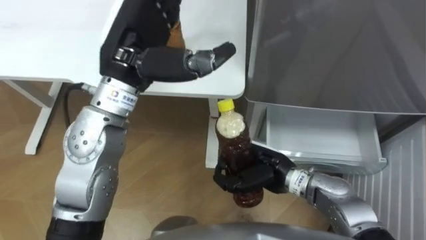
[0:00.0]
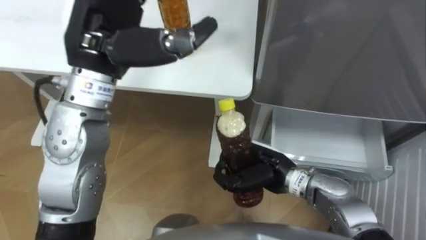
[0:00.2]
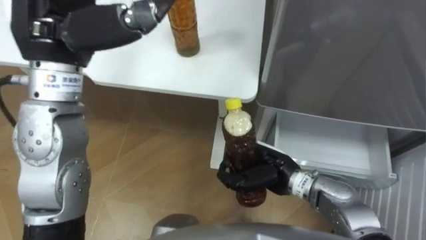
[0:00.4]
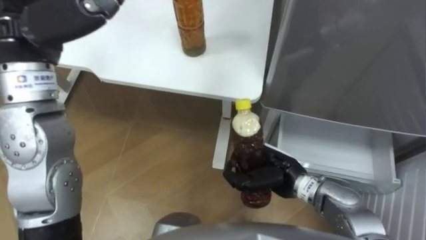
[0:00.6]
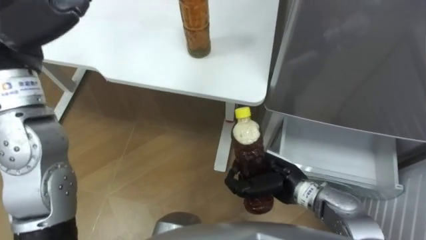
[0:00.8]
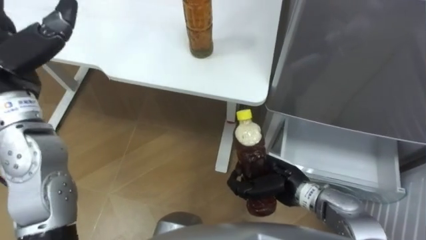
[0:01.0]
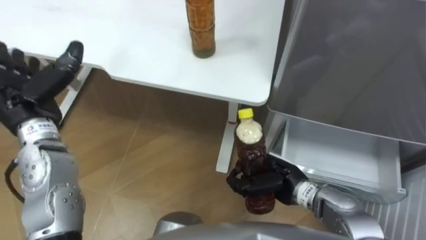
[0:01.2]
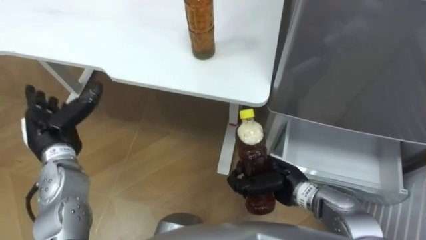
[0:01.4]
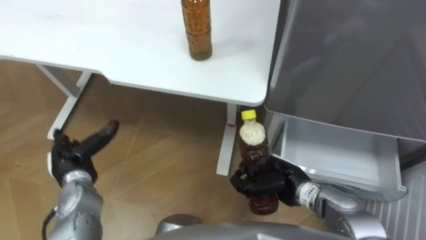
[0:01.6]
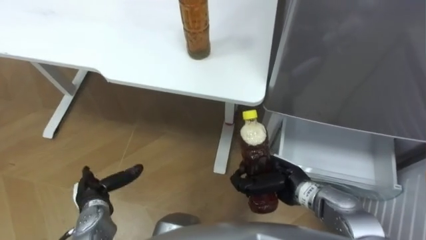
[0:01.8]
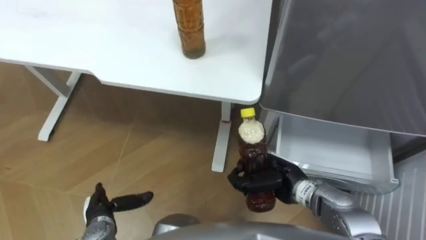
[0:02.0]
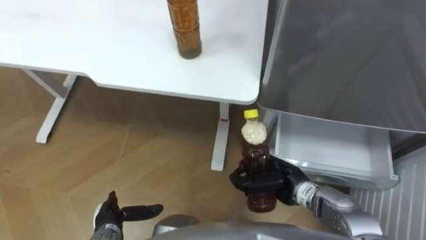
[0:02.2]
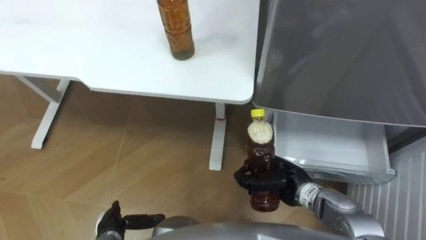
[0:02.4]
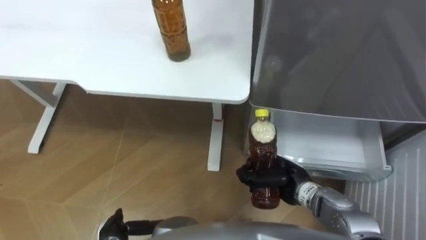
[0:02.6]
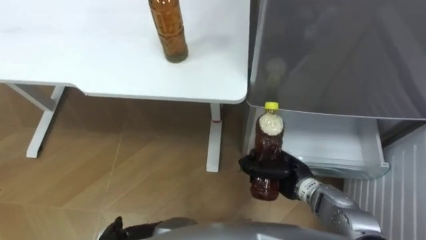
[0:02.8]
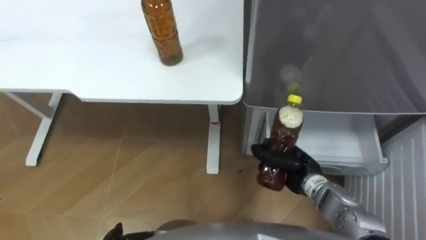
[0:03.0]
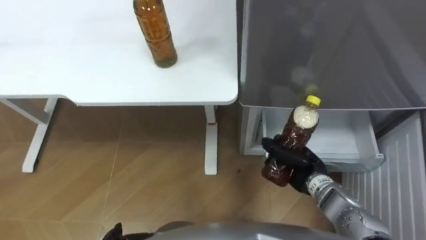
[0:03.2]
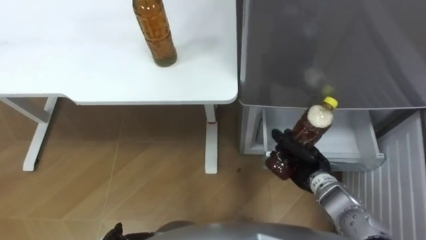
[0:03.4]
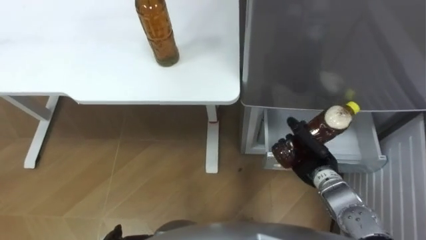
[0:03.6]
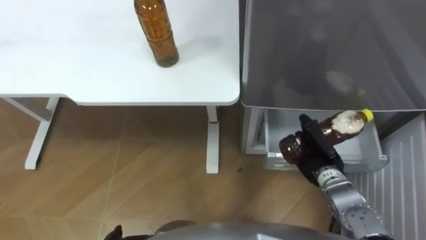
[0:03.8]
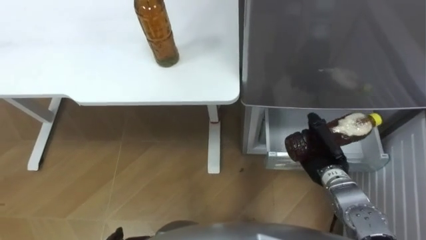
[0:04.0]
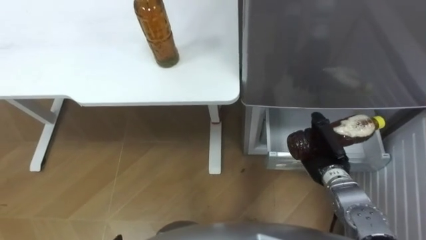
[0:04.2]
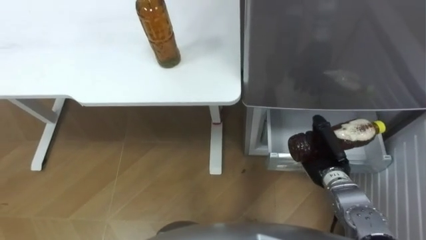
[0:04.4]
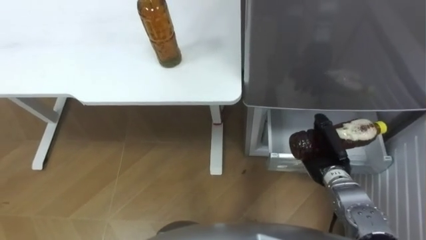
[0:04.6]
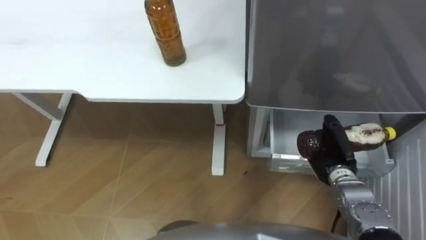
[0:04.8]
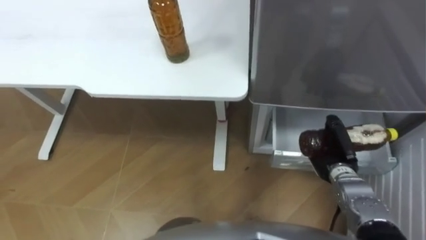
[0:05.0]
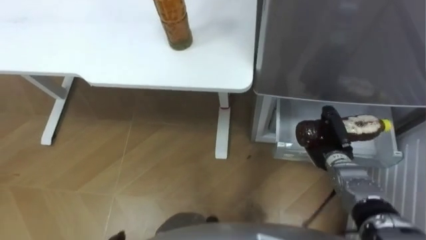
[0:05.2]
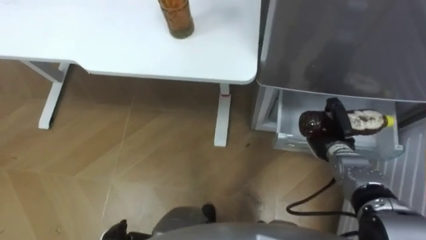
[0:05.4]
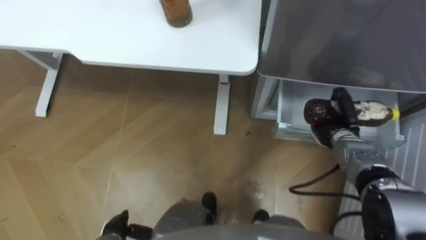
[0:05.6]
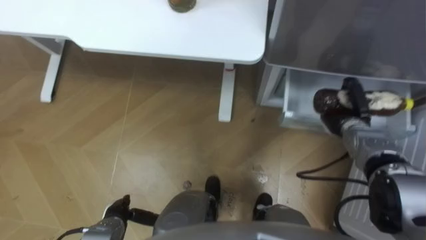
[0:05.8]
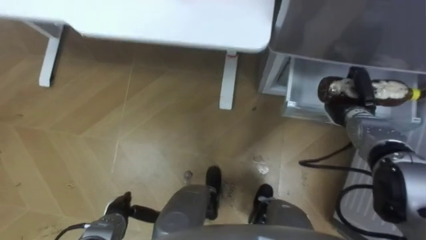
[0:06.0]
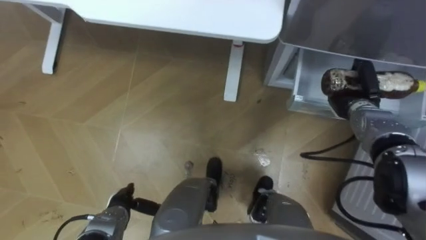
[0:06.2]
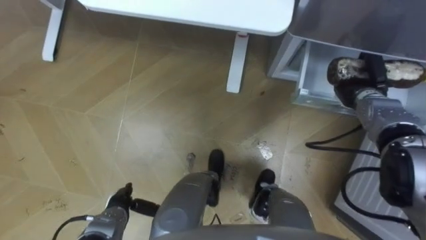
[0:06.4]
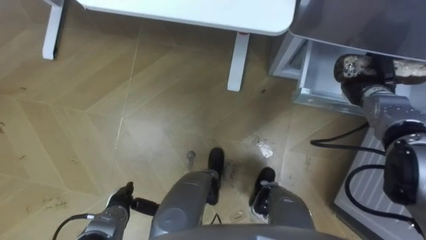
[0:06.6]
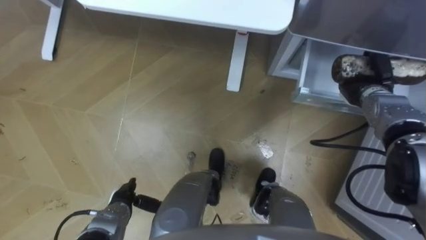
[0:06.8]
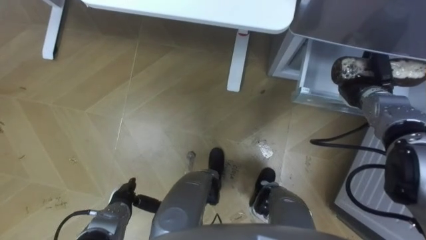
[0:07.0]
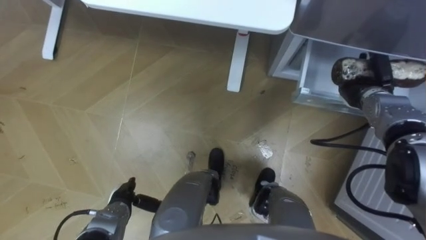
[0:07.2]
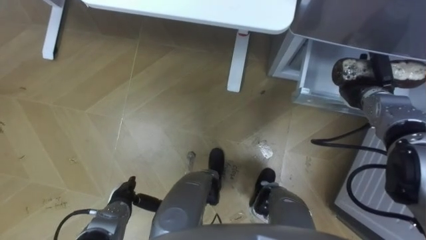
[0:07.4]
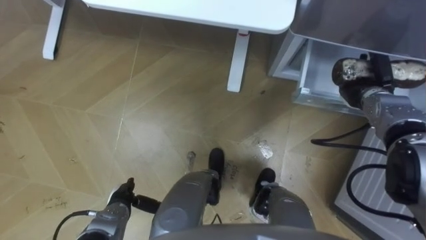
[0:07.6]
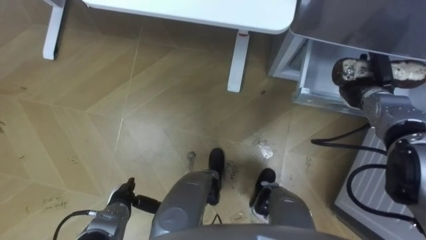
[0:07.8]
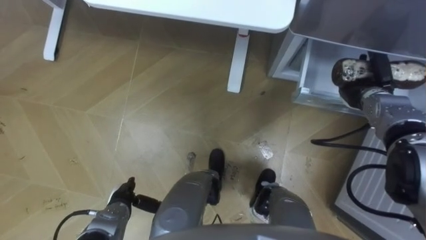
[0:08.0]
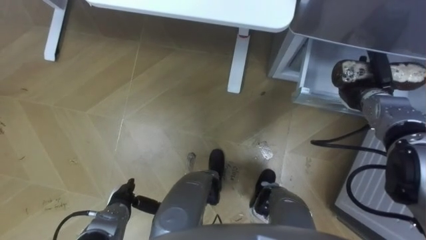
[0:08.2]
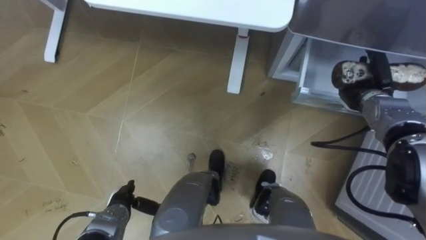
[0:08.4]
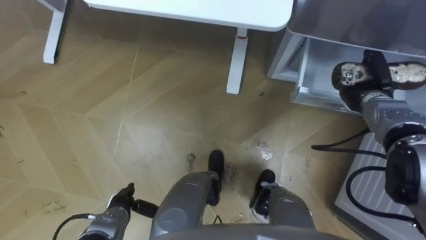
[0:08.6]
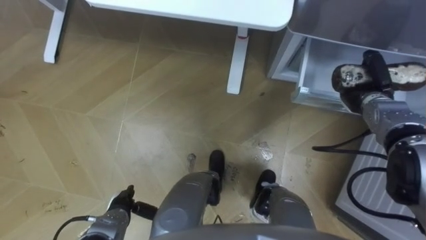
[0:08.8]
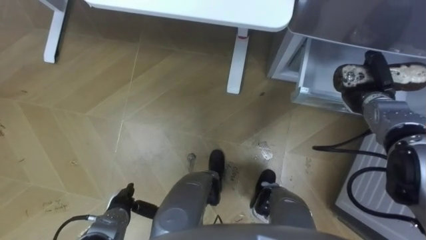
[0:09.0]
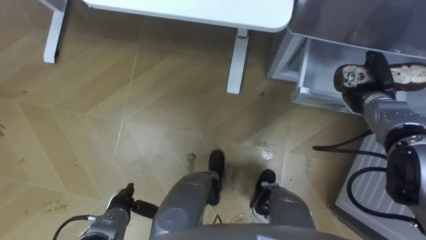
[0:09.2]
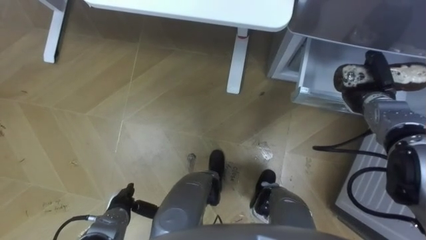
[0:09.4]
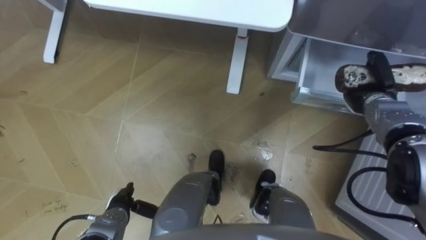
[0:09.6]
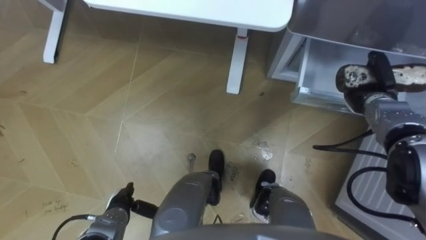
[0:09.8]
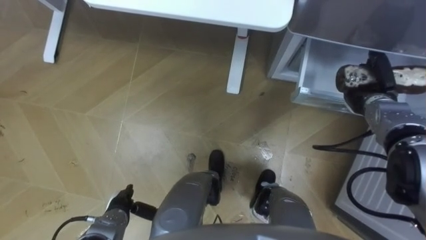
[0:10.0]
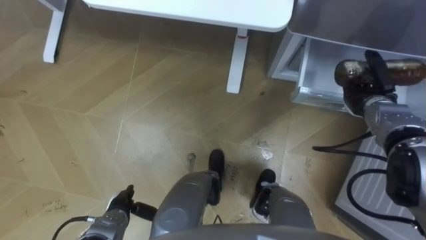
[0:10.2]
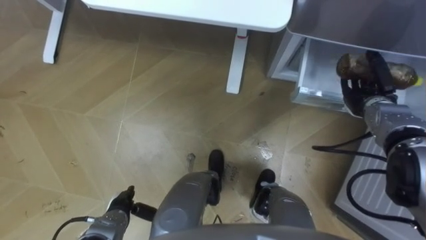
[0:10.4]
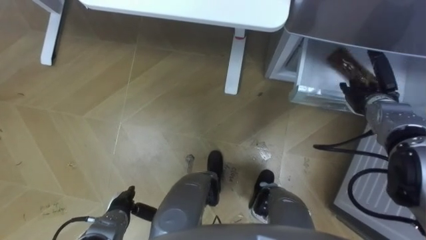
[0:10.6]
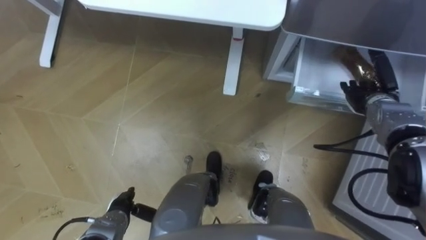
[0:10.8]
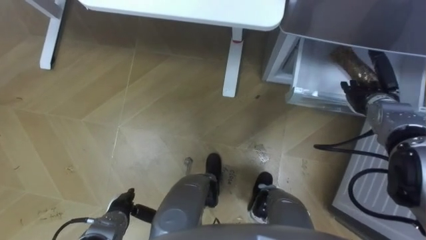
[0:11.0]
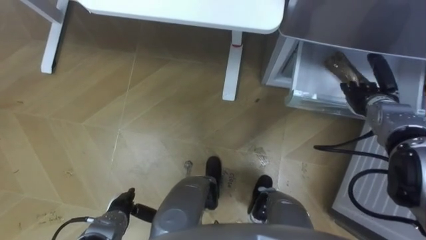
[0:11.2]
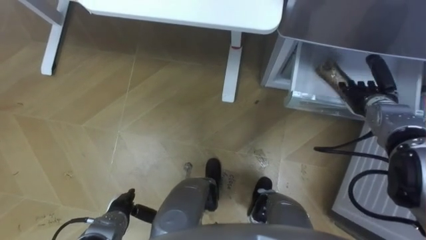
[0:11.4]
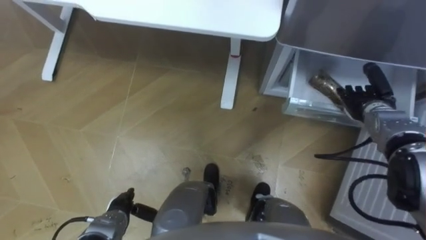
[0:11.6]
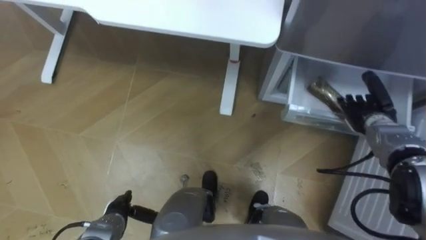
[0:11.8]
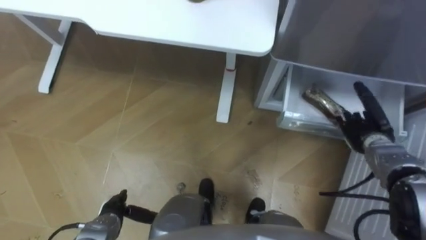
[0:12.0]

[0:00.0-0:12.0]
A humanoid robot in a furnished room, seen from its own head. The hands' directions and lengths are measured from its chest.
Task of the whole recording: Place the drink on the table on the bottom shelf of the refrigerator, then close the drawer and the refrigerator door.
0:00.0 to 0:01.6: The right hand ends up some 5 cm from where it was.
0:03.0 to 0:04.4: The right hand is displaced to the right by about 5 cm.
0:04.4 to 0:06.0: The right hand shifts some 10 cm forward and to the right.
0:06.0 to 0:07.6: The right hand shifts by roughly 5 cm.
0:07.6 to 0:09.0: Neither hand changes place.
0:09.0 to 0:10.4: The right hand opens its fingers.
0:10.4 to 0:12.0: The right hand moves backward, approximately 5 cm.

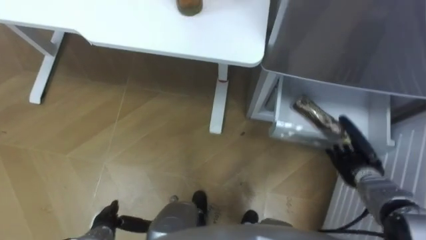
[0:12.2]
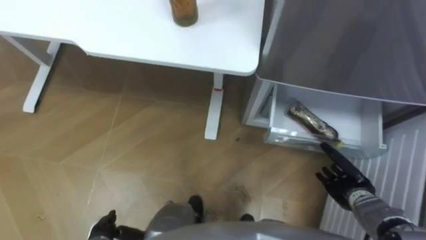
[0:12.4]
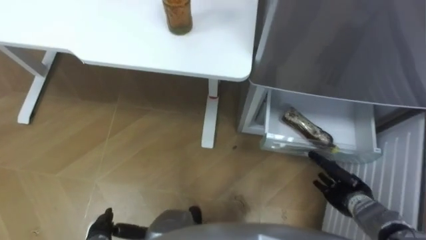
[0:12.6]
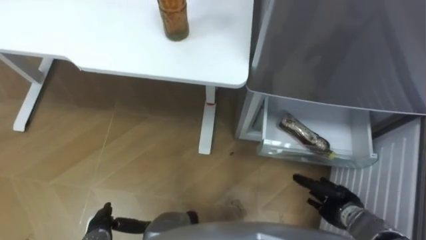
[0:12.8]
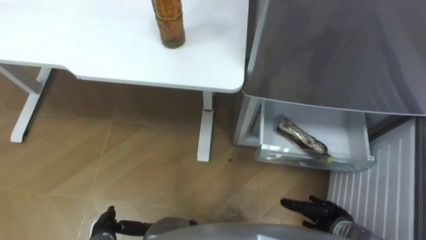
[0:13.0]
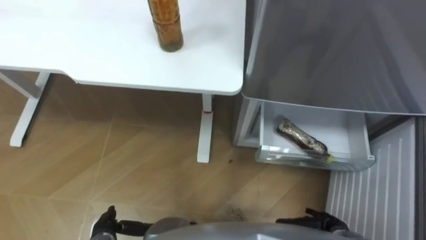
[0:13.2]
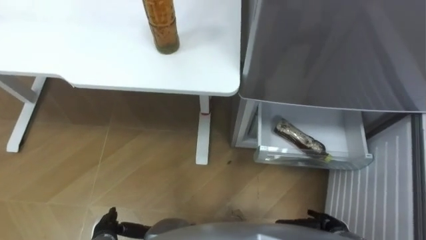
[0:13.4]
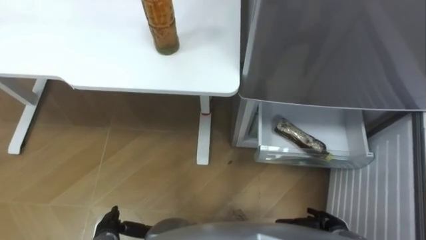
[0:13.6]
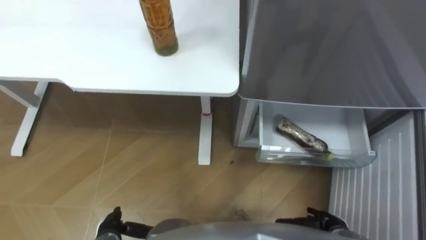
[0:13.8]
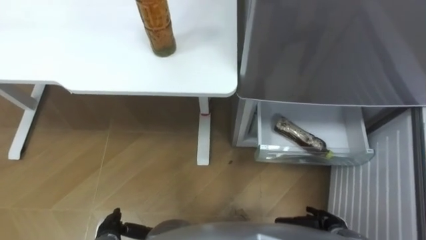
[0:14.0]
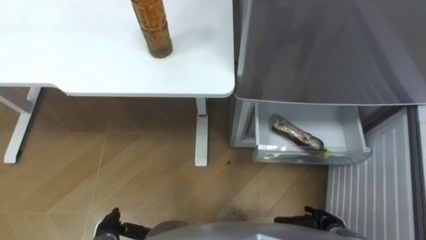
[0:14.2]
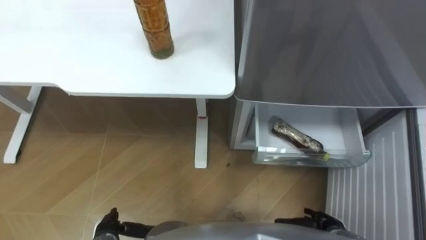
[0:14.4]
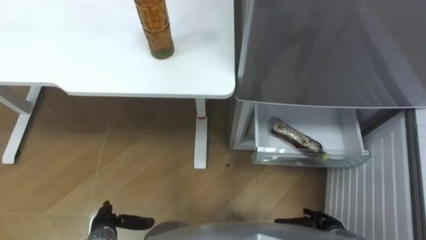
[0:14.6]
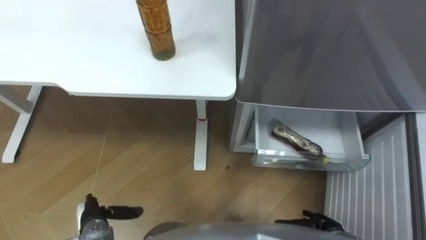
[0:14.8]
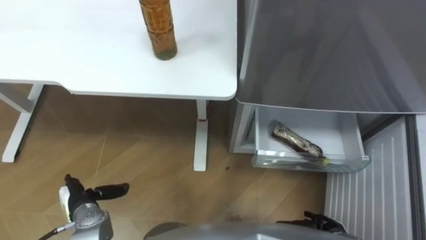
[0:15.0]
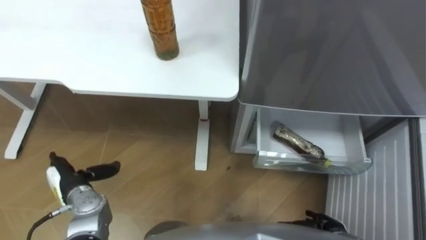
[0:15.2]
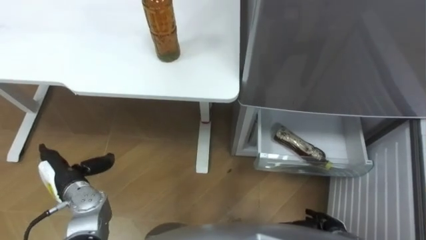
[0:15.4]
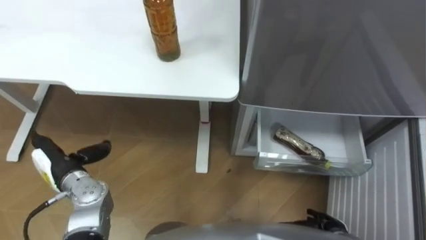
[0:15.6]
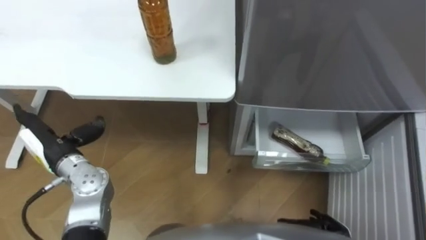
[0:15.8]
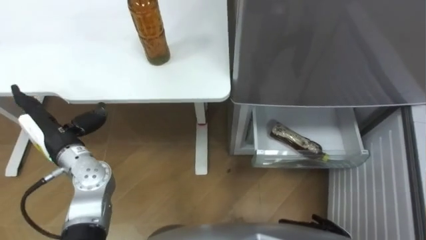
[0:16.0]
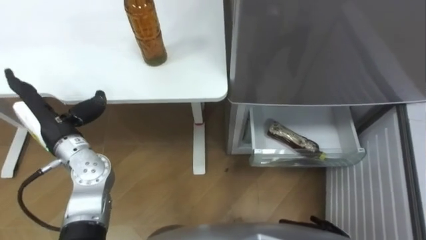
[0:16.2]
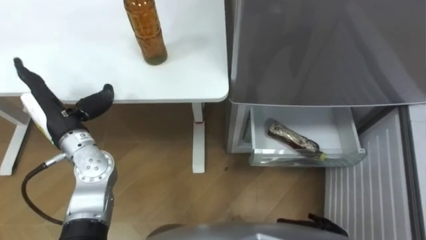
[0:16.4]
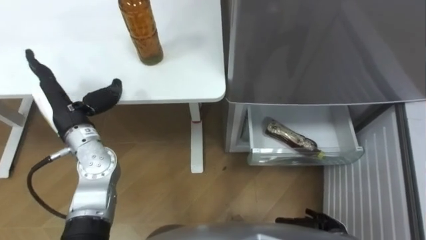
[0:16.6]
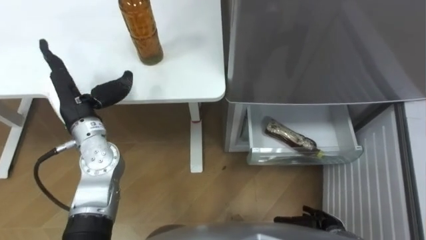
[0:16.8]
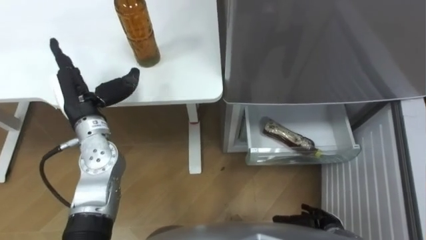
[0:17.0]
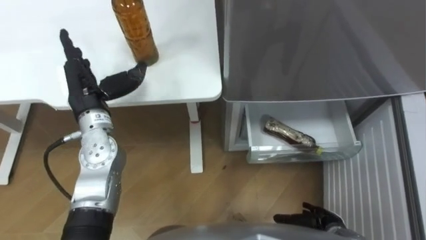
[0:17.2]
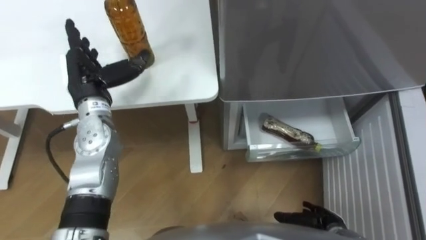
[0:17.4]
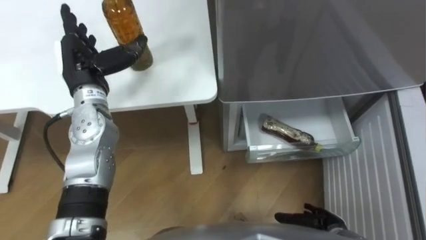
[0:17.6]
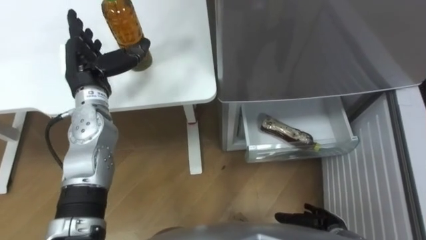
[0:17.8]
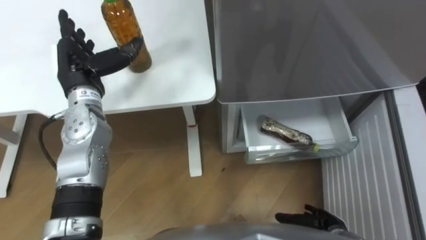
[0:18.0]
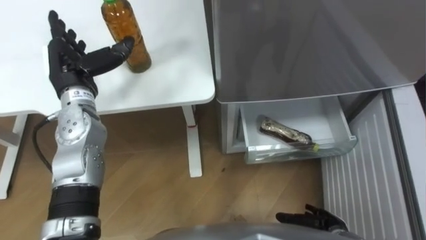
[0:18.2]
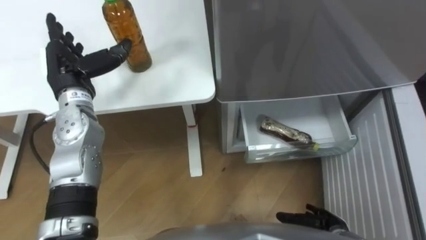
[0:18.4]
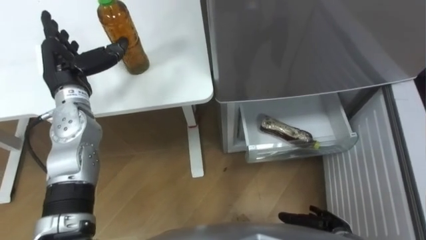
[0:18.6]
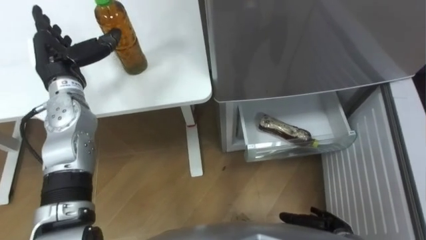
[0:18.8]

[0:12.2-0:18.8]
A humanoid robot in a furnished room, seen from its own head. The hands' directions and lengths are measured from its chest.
Task of the whole recording: Place the drink on the table on the bottom shelf of the refrigerator, then close the drawer and the refrigerator door.
0:12.2 to 0:13.8: The right hand travels backward, to the left and downward by about 15 cm.
0:13.8 to 0:15.4: The left hand goes some 15 cm forward, upward and to the left.
0:15.4 to 0:17.2: The left hand travels upward, forward and to the right by approximately 20 cm.
0:17.2 to 0:18.8: The left hand moves about 5 cm.
